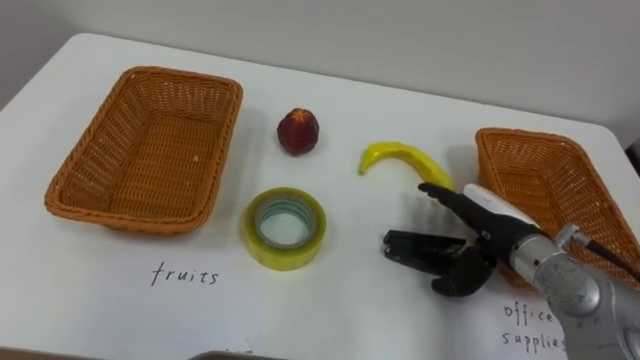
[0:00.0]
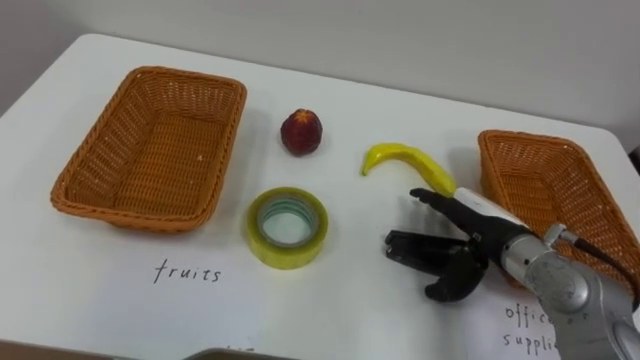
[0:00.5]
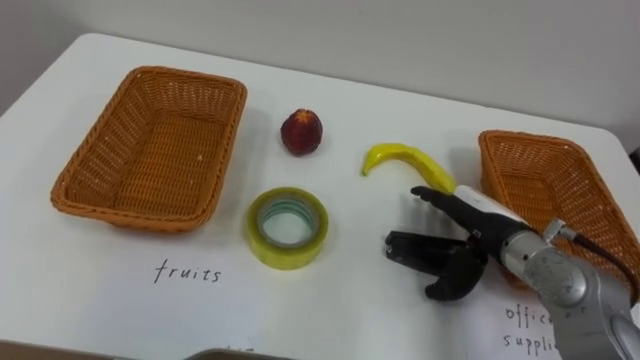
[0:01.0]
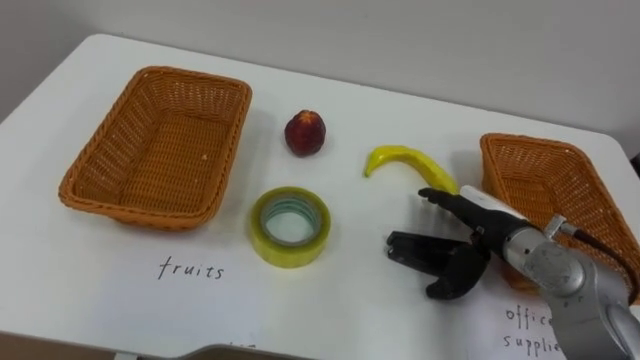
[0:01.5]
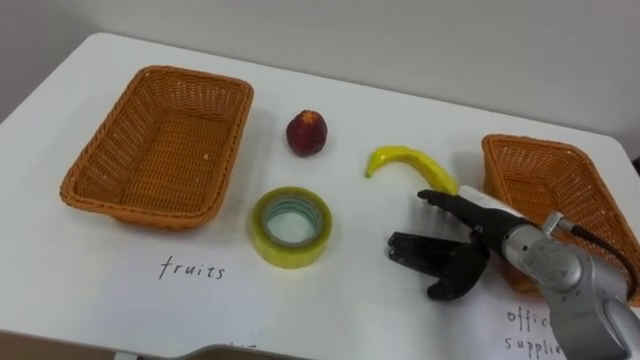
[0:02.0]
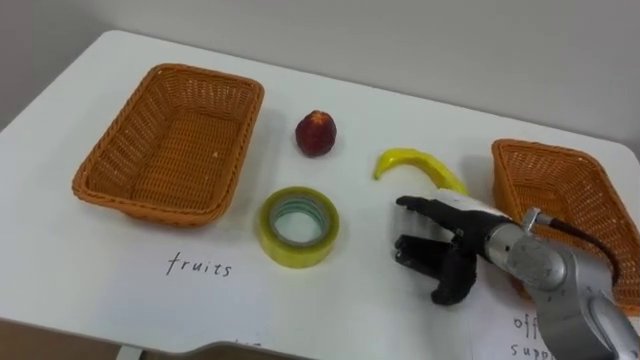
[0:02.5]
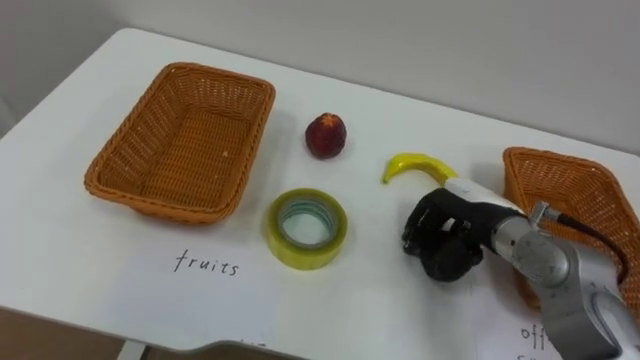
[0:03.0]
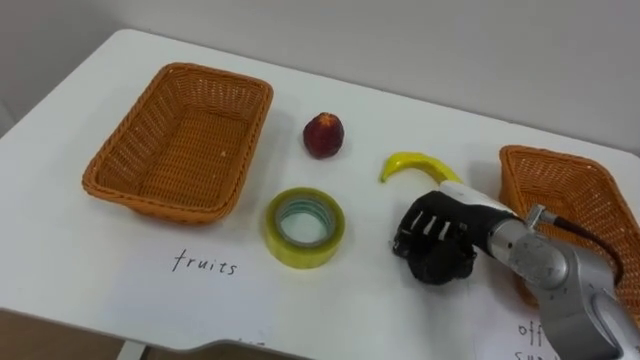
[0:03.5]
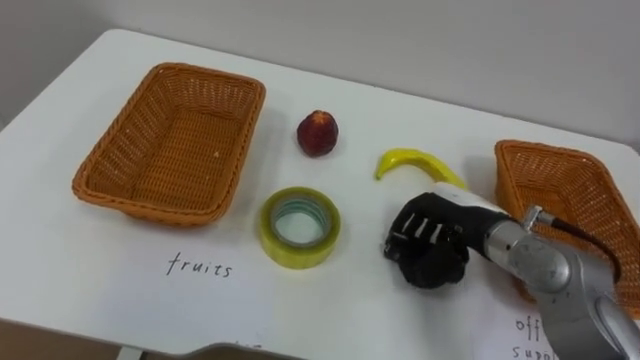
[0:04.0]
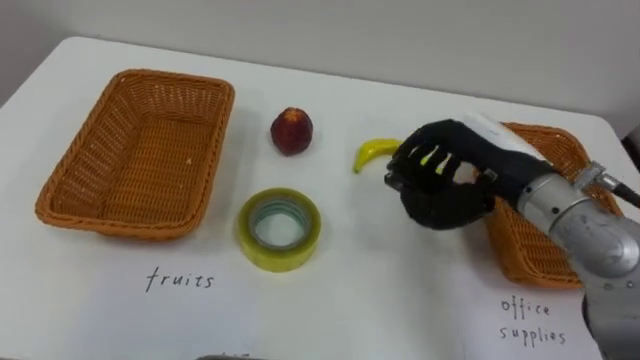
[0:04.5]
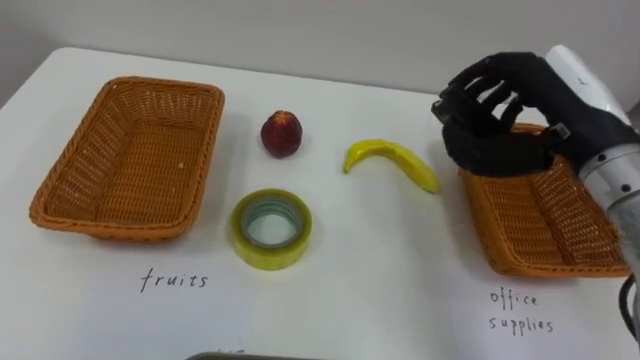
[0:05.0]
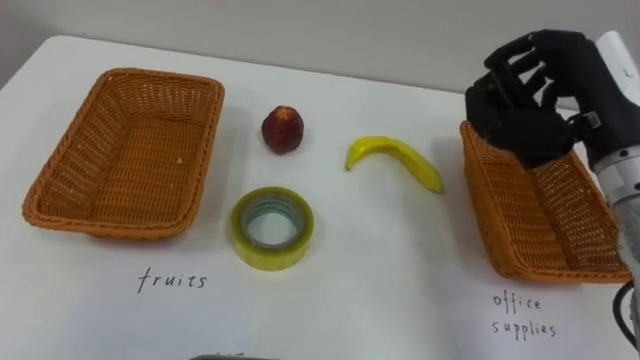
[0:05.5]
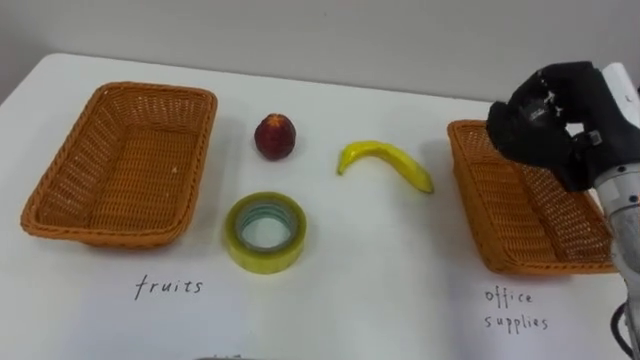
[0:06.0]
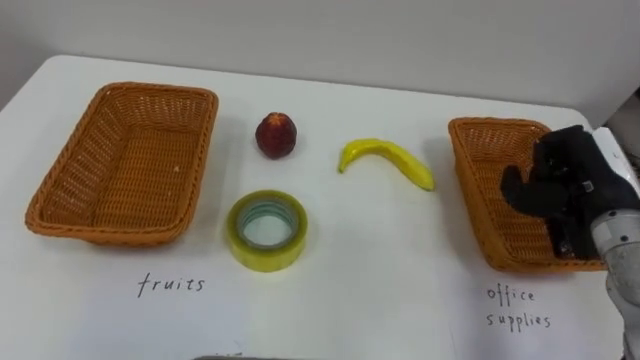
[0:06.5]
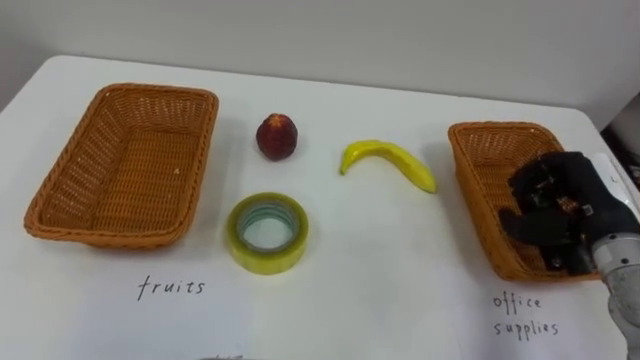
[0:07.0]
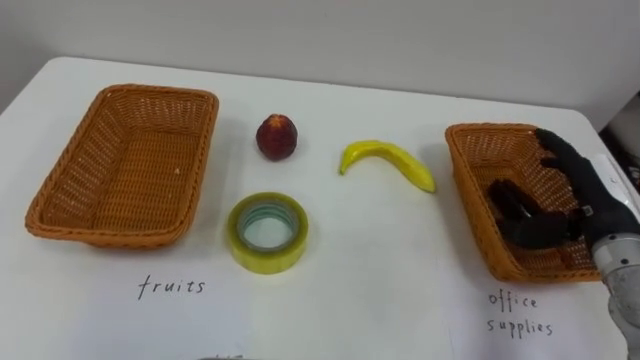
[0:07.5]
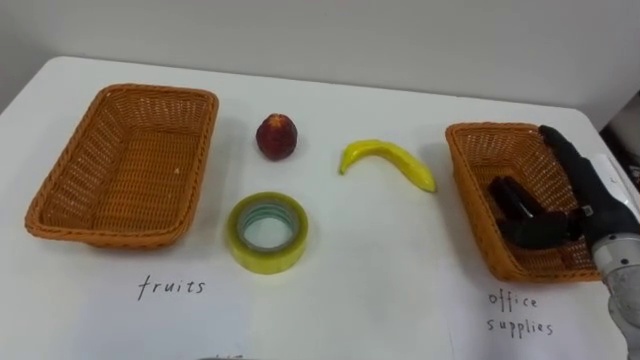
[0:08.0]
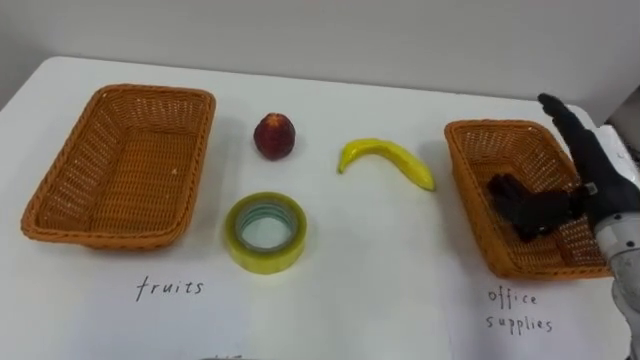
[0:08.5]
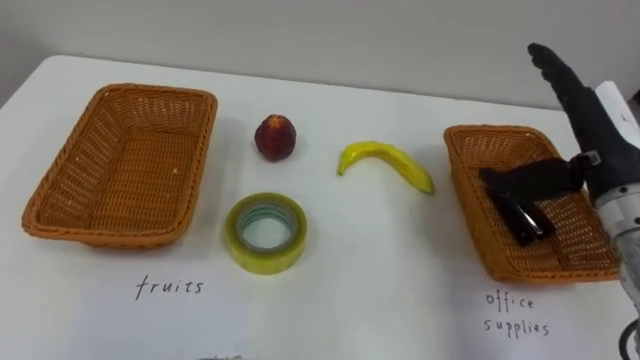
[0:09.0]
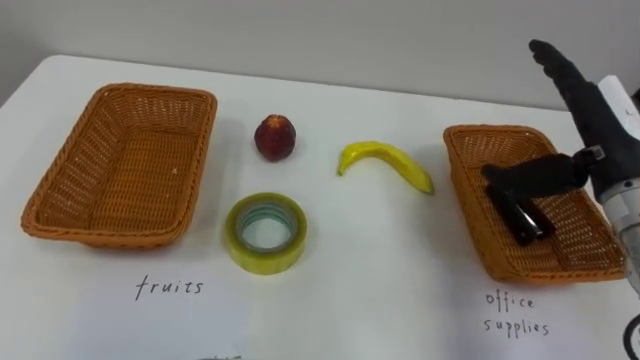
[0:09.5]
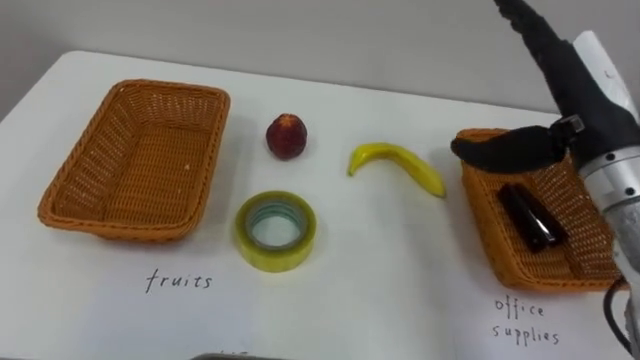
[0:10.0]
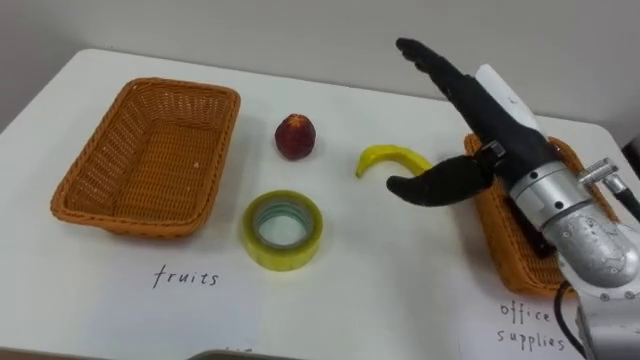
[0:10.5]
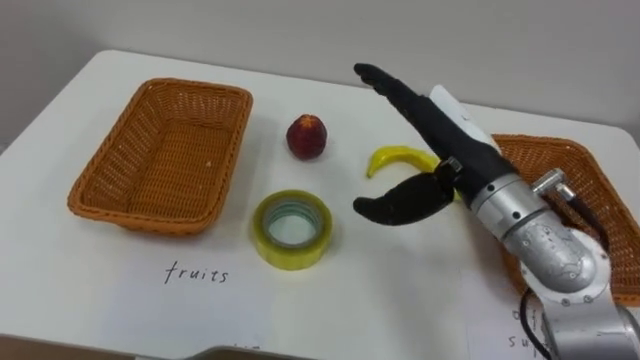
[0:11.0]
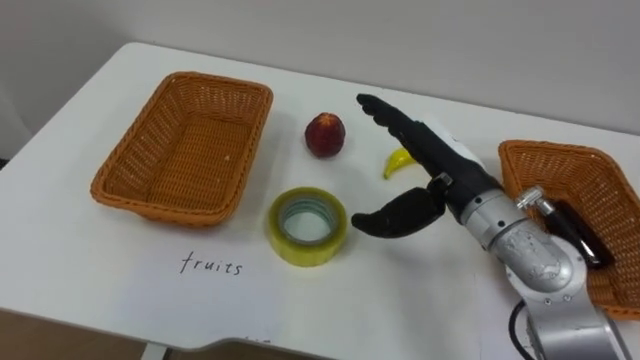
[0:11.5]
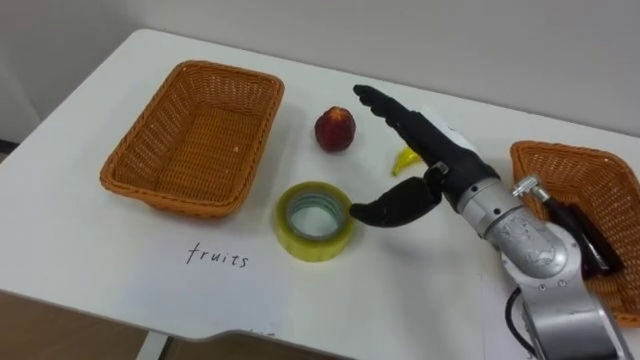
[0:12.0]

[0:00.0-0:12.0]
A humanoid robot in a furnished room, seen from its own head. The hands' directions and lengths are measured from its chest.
Task of the whole recording: Separate the items on the table and place them into the two baskets.
0:02.0 to 0:04.0: The right hand closes.
0:04.0 to 0:06.0: The right hand is displaced upward and to the right by some 15 cm.
0:06.0 to 0:08.0: The right hand goes about 10 cm downward, and opens.
0:08.0 to 0:10.0: The right hand moves upward and to the left, some 15 cm.
0:10.0 to 0:12.0: The right hand moves to the left and downward, about 15 cm.

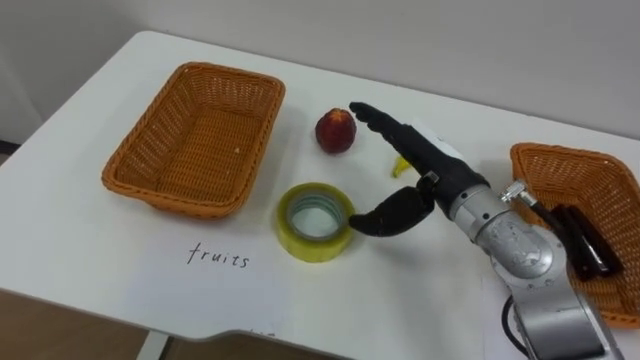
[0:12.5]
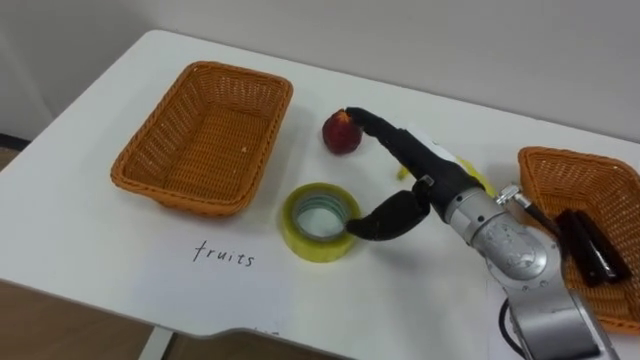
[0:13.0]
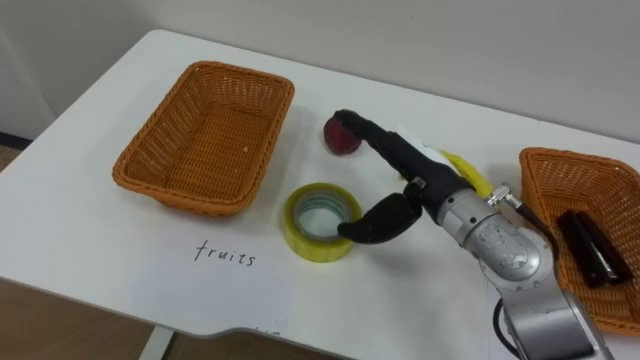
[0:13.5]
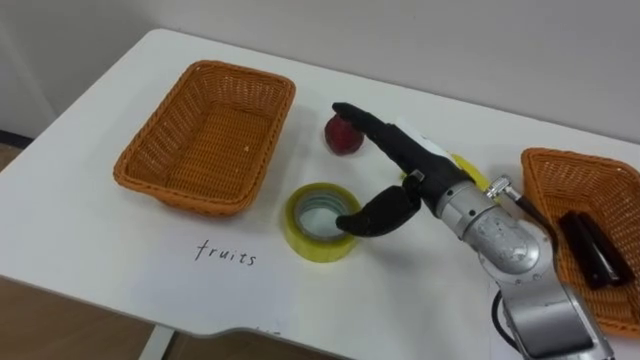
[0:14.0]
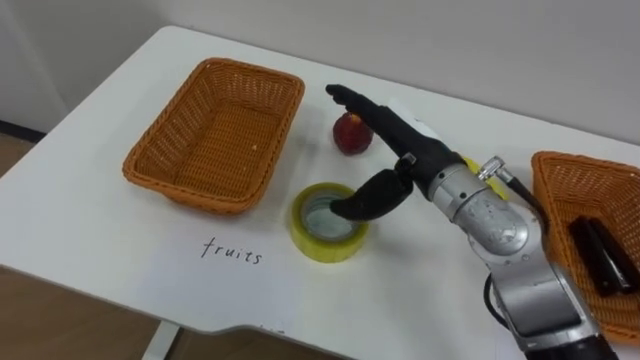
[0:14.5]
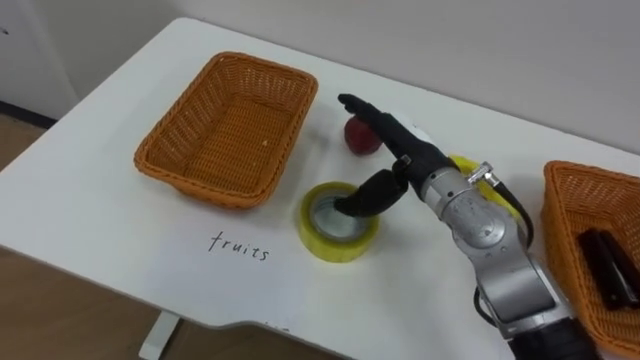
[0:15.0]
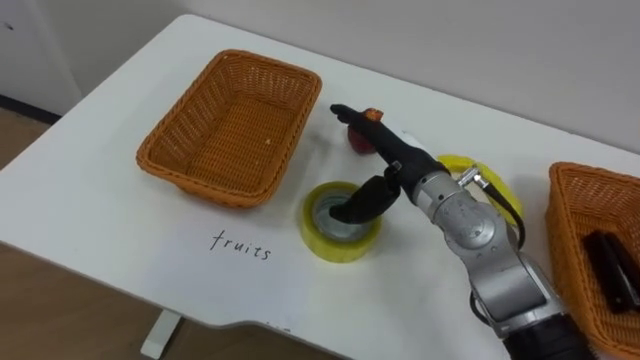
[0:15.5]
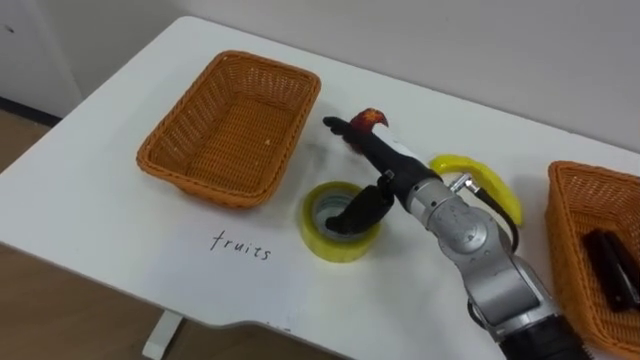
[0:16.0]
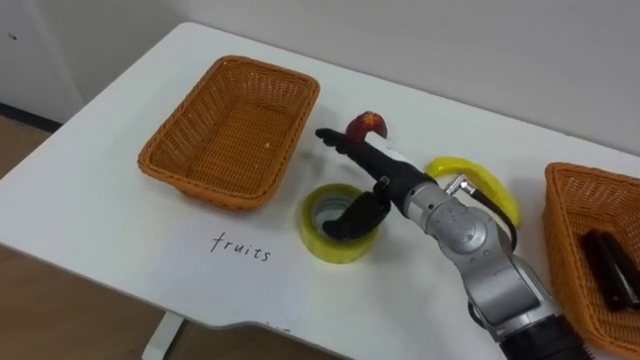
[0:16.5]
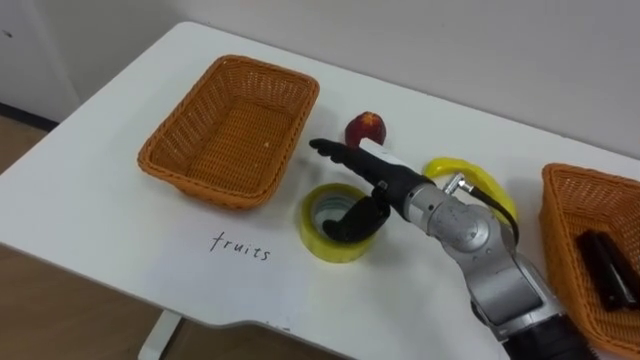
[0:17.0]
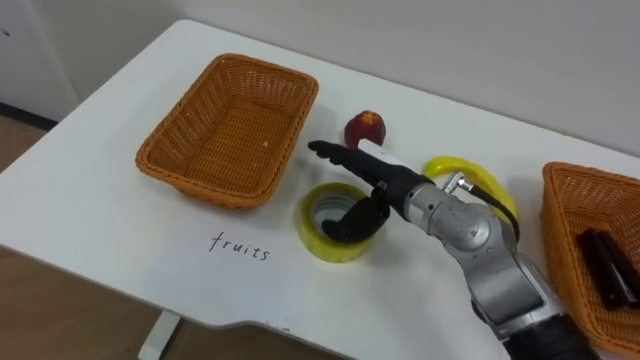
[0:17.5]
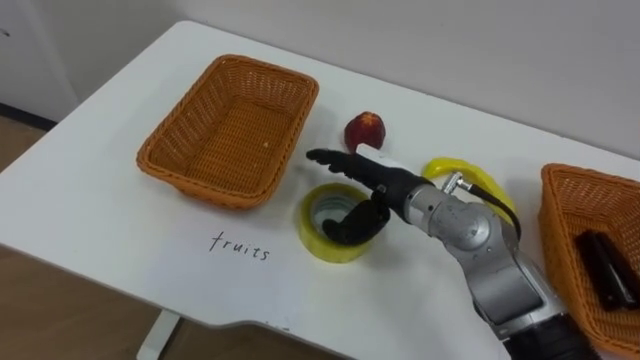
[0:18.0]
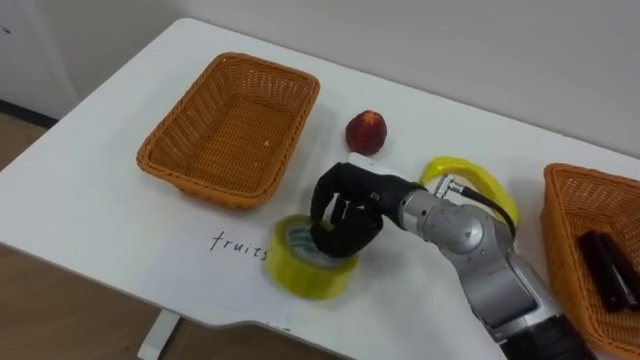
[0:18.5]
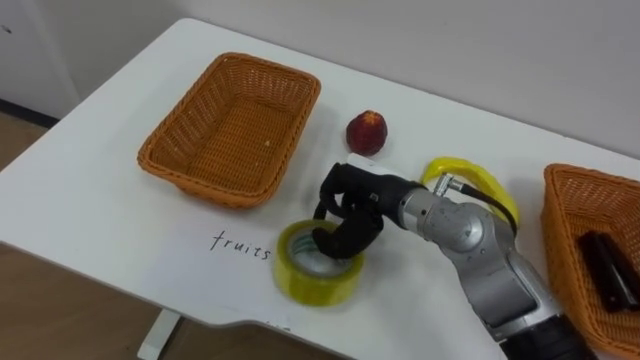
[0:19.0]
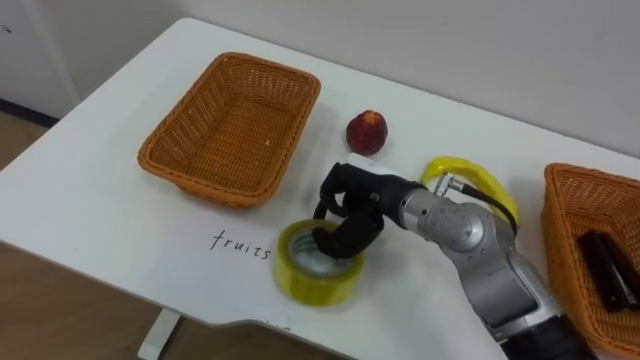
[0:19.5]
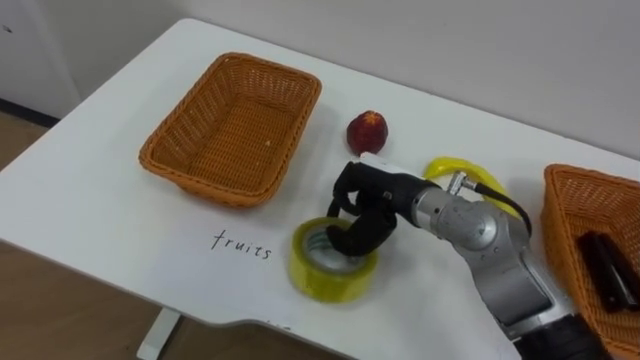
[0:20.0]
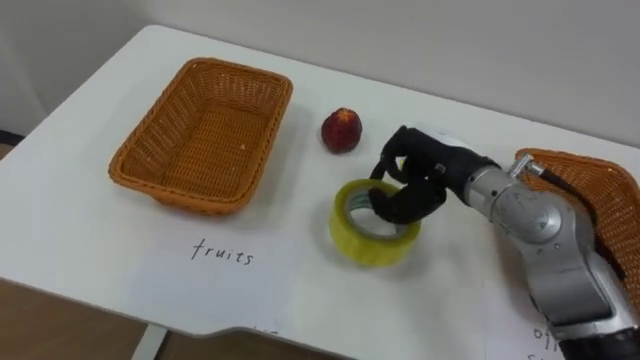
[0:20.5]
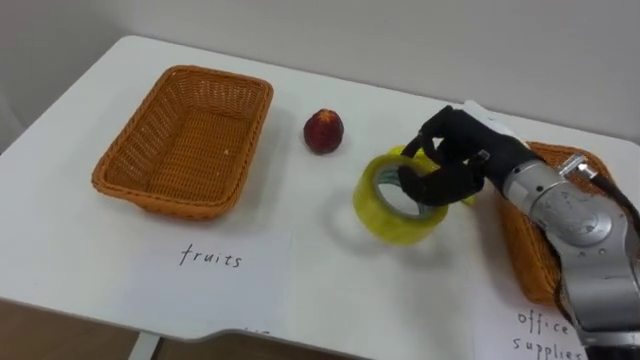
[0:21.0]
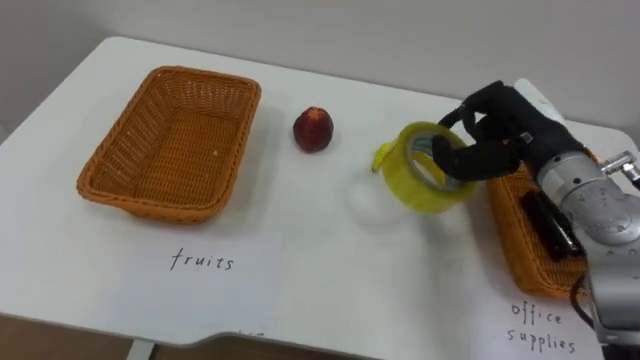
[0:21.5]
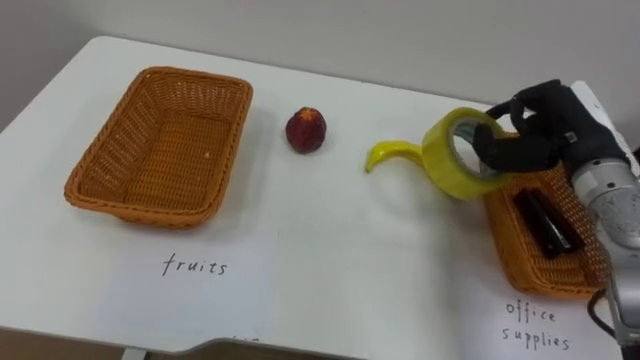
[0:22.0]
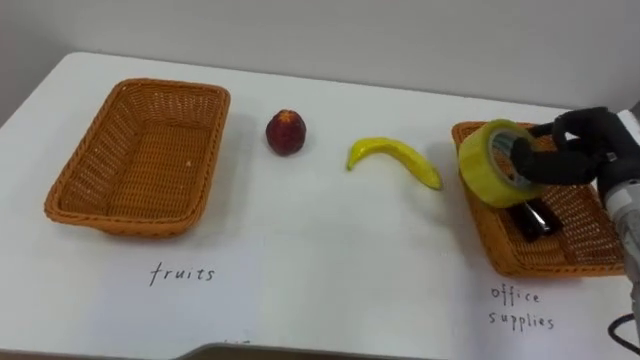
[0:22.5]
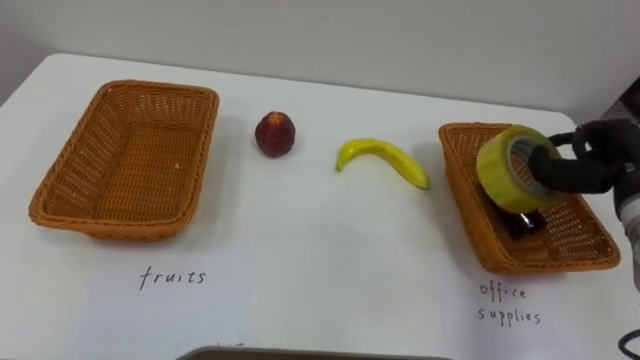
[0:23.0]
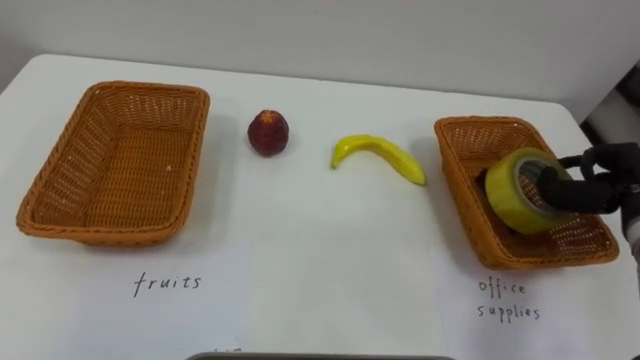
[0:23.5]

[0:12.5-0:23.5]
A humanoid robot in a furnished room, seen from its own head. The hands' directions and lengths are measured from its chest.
Task of the whole recording: Separate the items on the table and place them into the two baskets.
0:14.5 to 0:16.0: The right hand heads downward, covering about 5 cm.
0:18.0 to 0:20.0: The right hand closes up.
0:20.0 to 0:21.5: The right hand heads to the right and upward, covering roughly 15 cm.
0:21.5 to 0:23.5: The right hand shifts roughly 15 cm to the right and downward.
